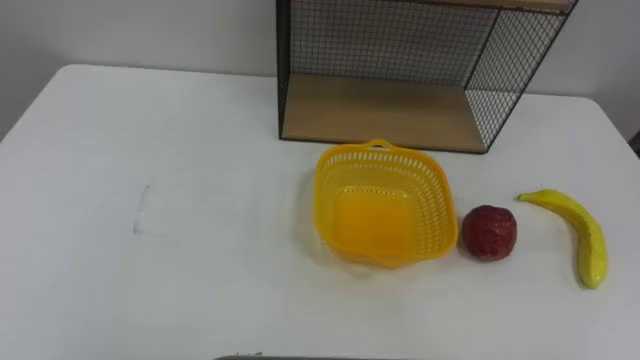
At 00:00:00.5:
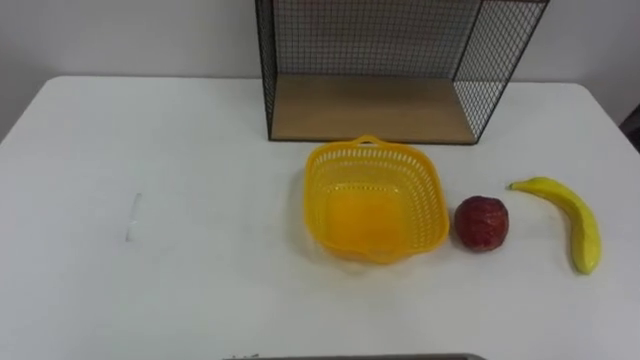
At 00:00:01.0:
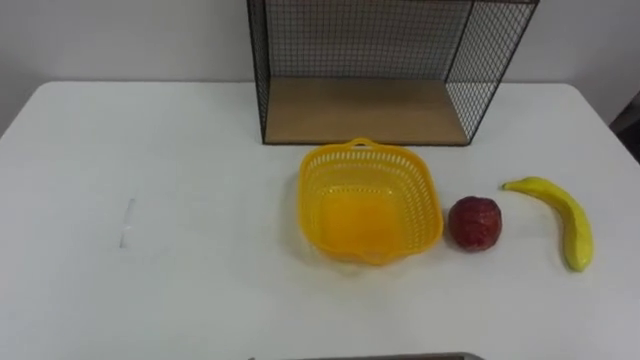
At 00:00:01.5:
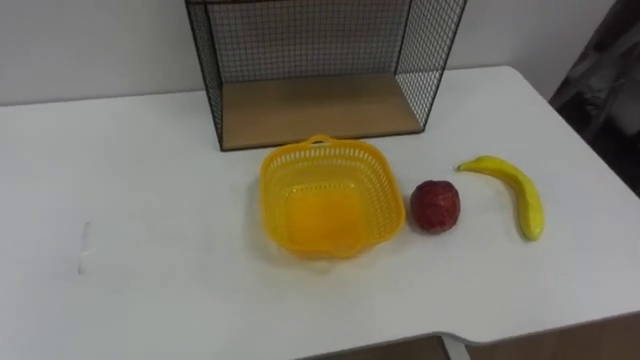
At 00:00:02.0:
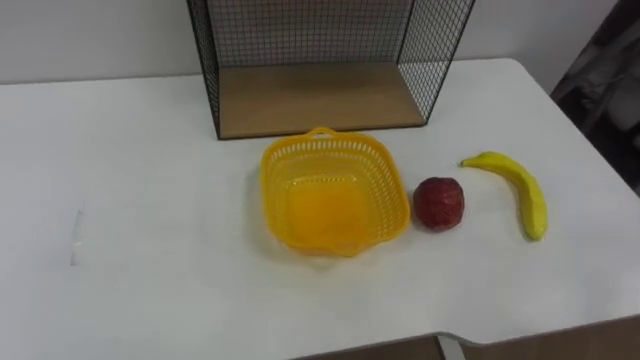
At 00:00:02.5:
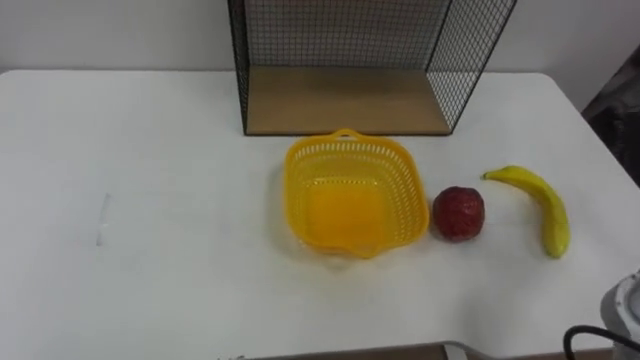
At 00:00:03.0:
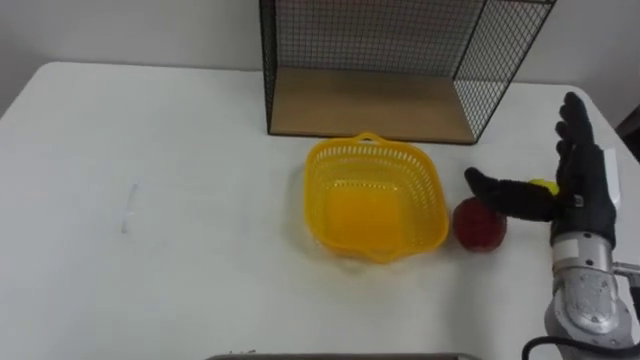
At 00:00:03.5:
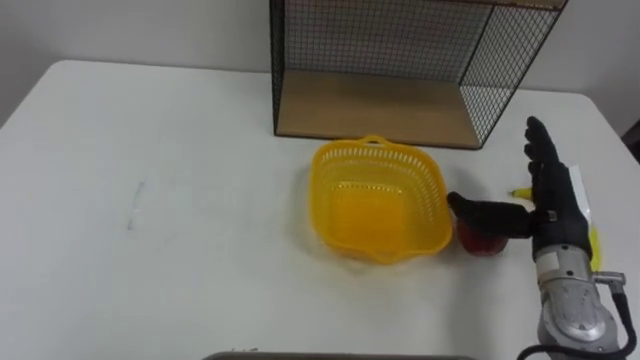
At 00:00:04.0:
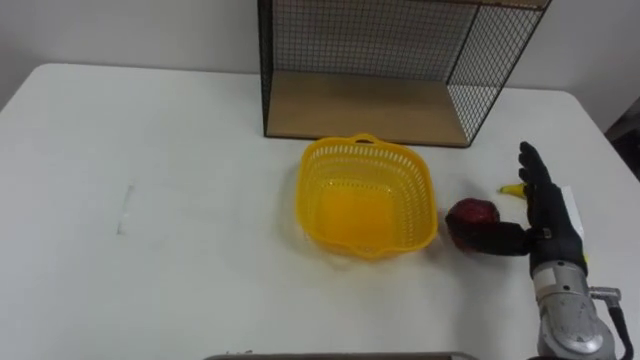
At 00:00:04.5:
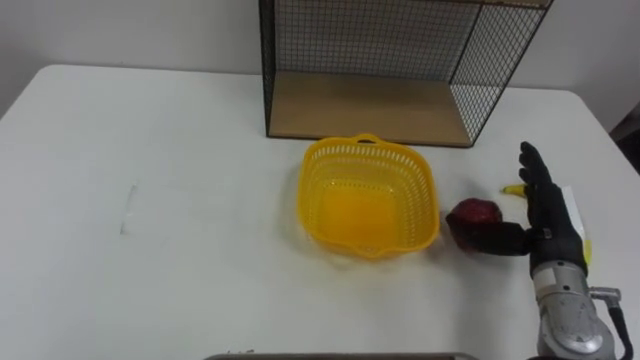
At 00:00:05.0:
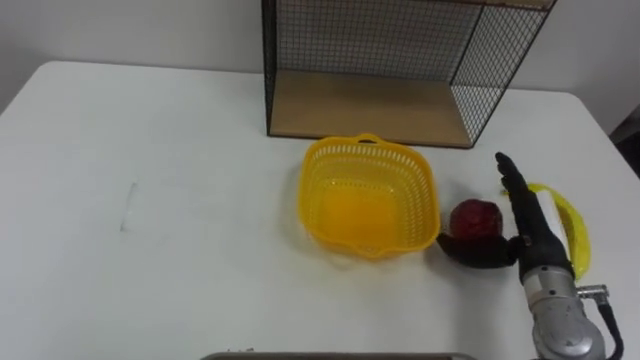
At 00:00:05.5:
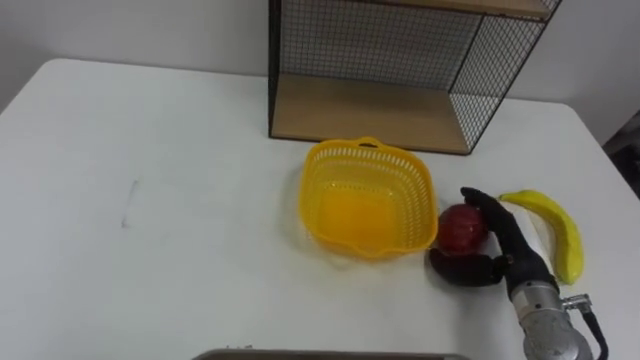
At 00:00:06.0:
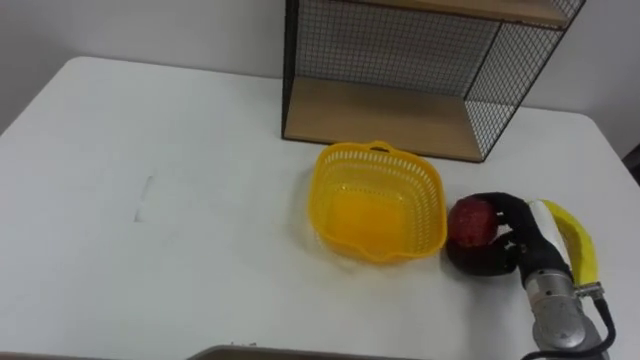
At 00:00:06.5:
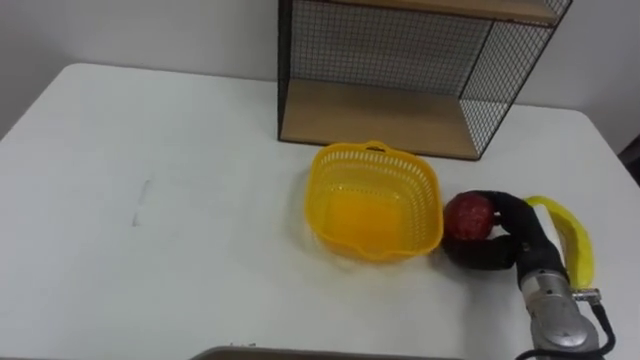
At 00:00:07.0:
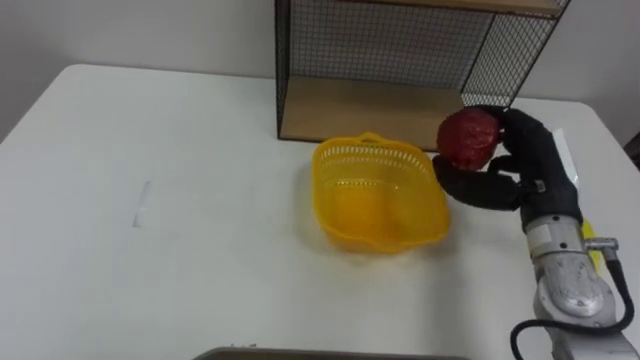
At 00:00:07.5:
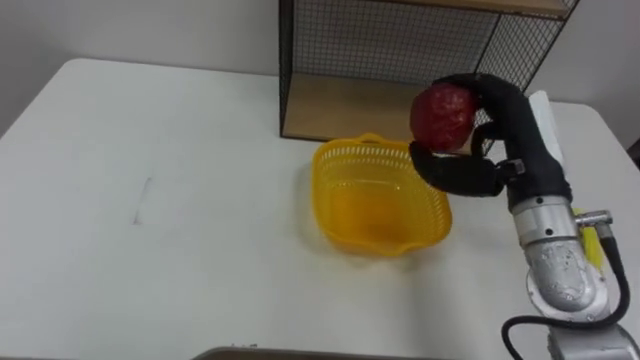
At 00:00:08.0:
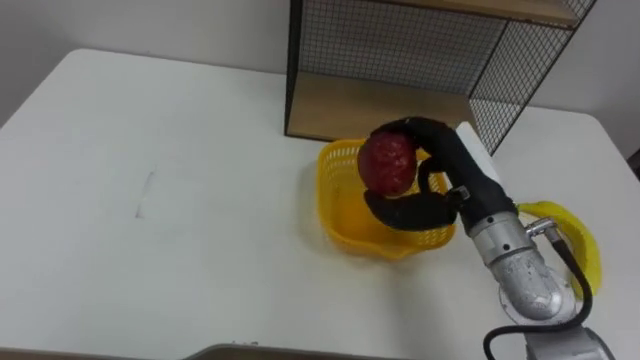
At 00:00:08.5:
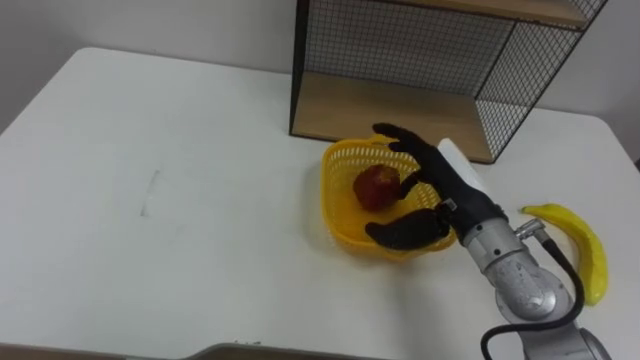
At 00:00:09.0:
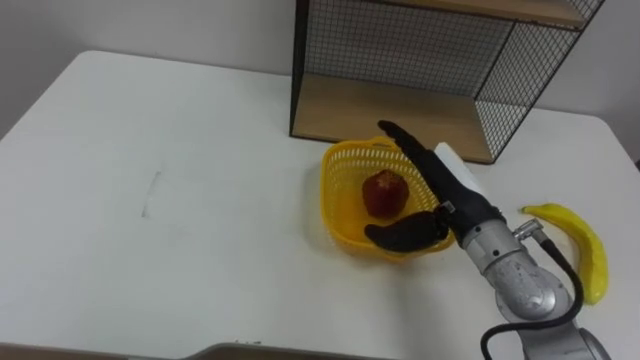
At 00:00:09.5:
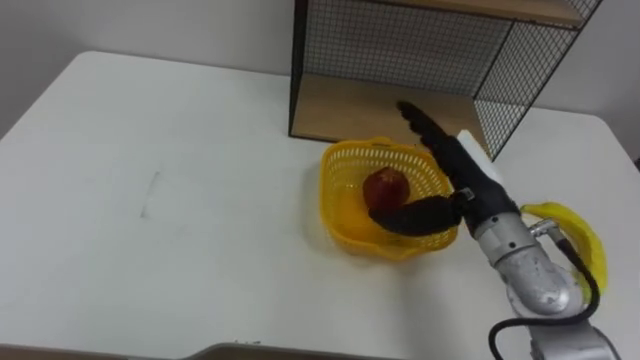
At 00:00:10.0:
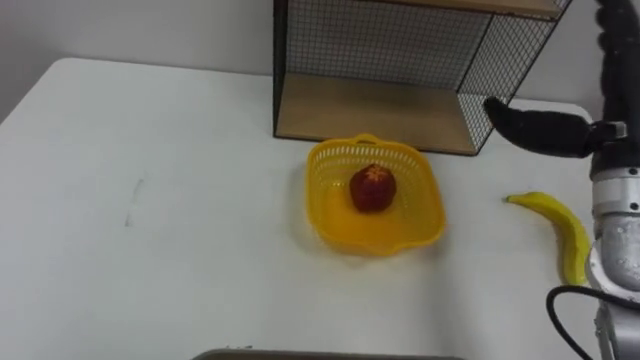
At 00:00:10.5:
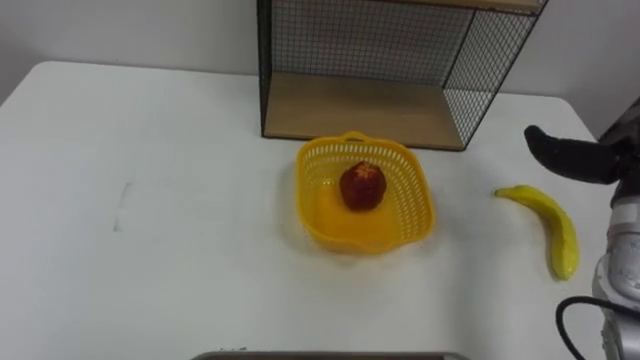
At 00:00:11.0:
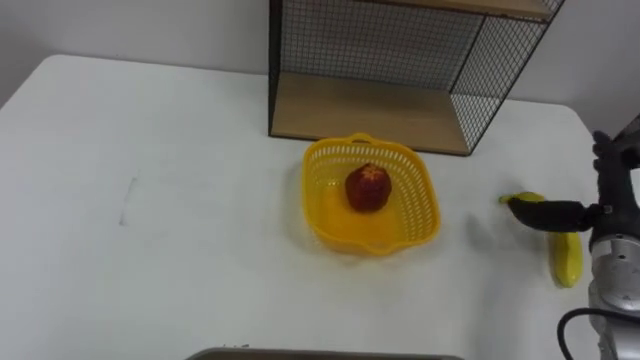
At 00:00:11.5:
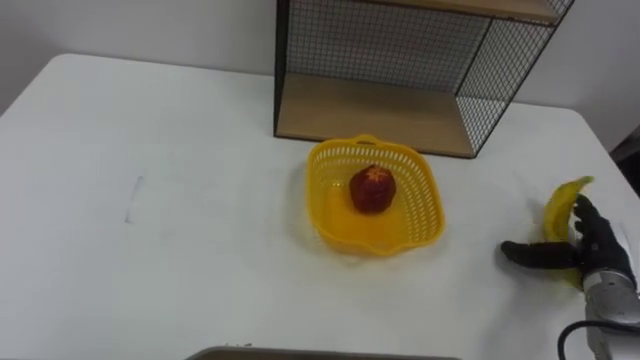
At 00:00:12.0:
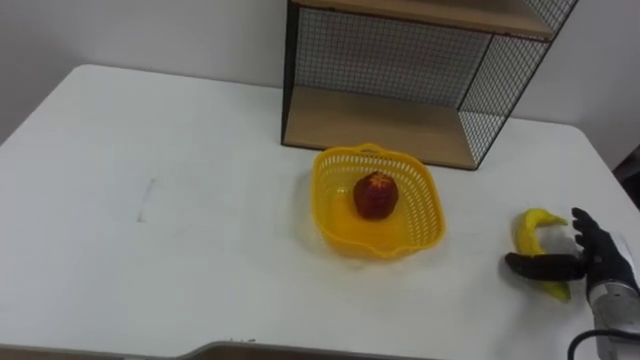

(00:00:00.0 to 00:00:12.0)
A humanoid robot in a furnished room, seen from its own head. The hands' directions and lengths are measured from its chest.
Task of the whole recording: Put the fruit on the table into the basket, then place the basket on the shelf.
00:00:04.0 - 00:00:06.0: The right hand is displaced downward by approximately 5 cm, and closes.
00:00:06.0 - 00:00:08.0: The right hand shifts about 15 cm upward and to the left.
00:00:08.0 - 00:00:10.0: The right hand goes roughly 15 cm to the right and upward, and opens.

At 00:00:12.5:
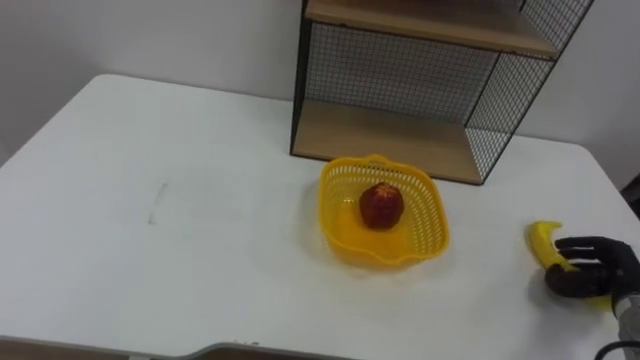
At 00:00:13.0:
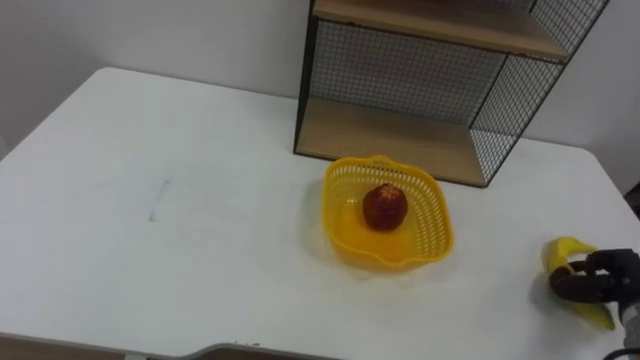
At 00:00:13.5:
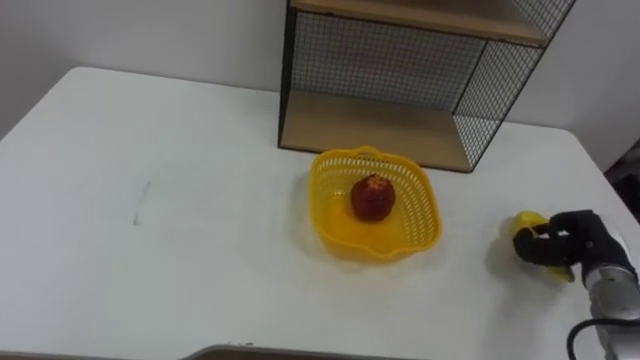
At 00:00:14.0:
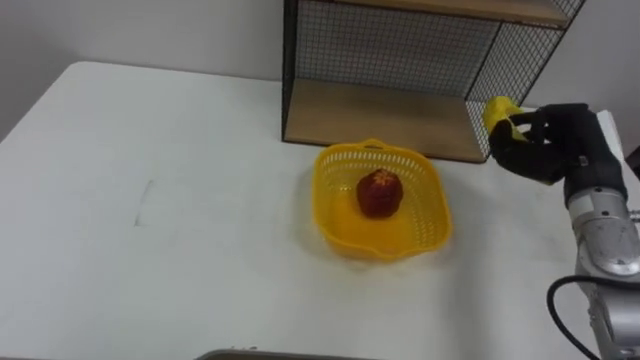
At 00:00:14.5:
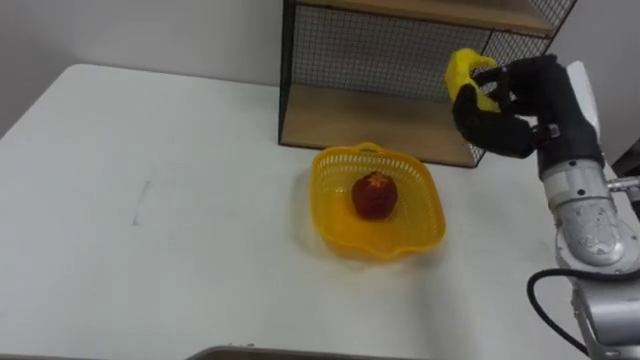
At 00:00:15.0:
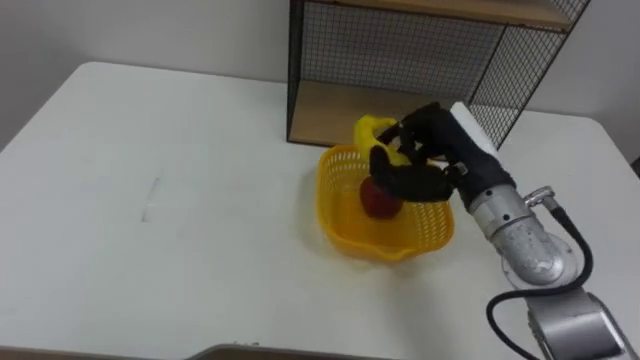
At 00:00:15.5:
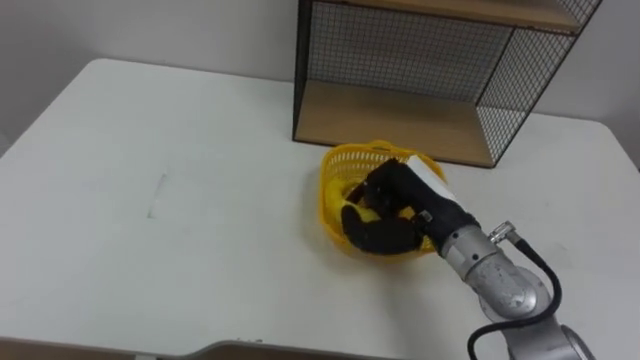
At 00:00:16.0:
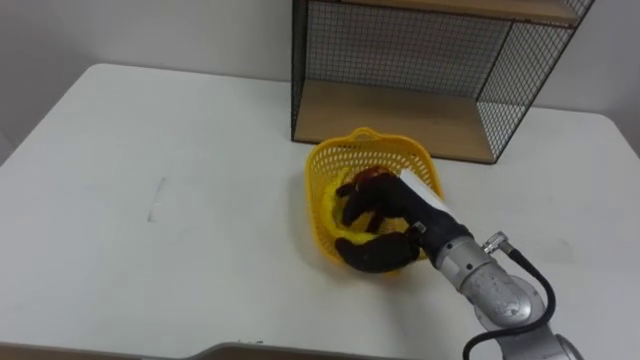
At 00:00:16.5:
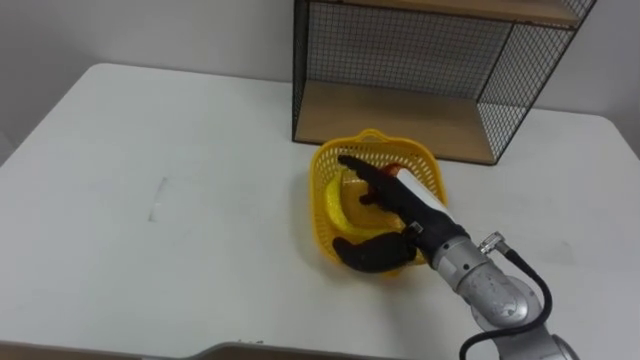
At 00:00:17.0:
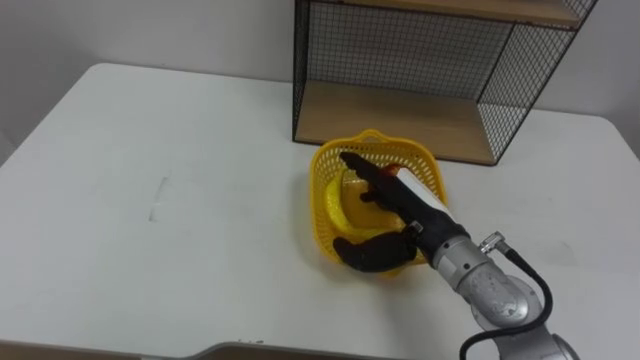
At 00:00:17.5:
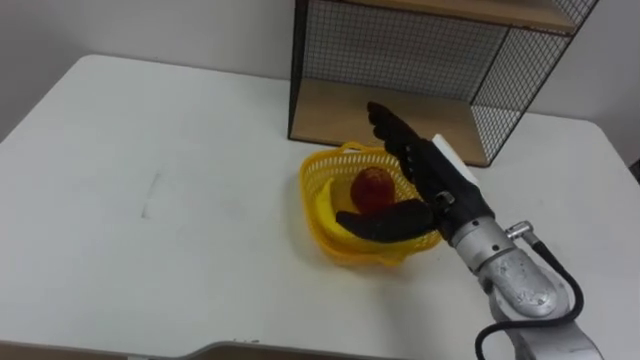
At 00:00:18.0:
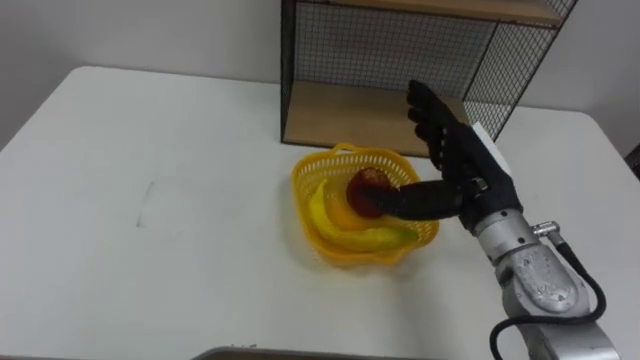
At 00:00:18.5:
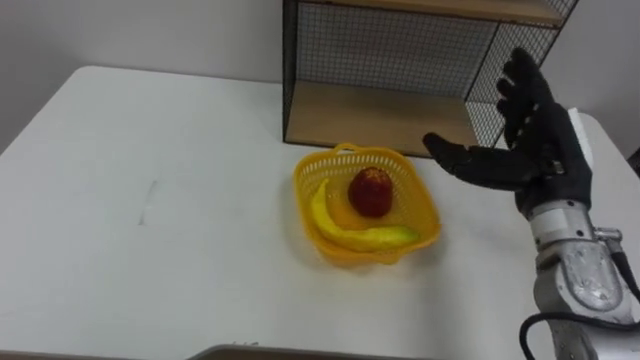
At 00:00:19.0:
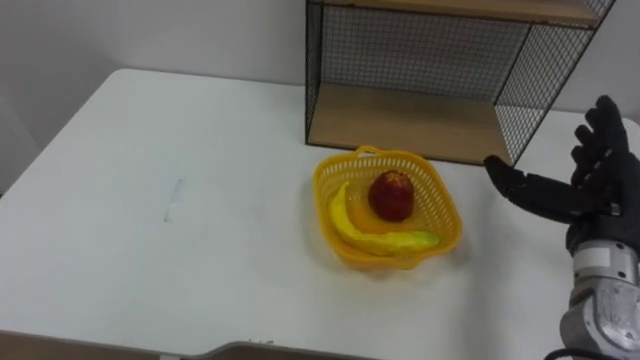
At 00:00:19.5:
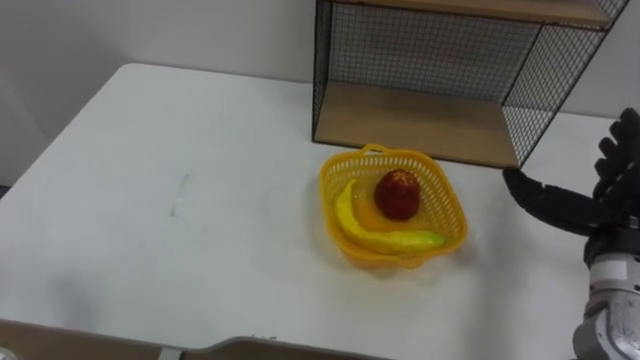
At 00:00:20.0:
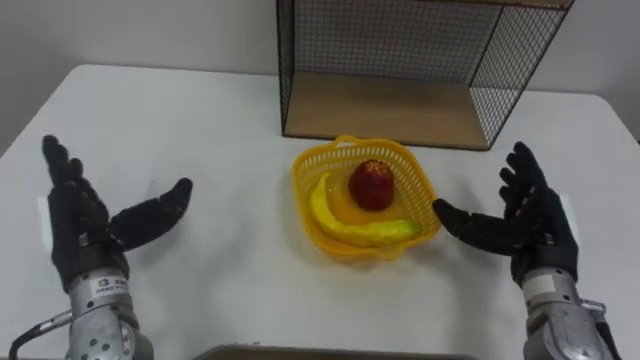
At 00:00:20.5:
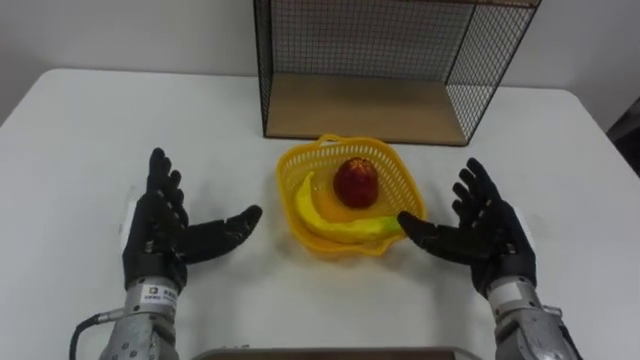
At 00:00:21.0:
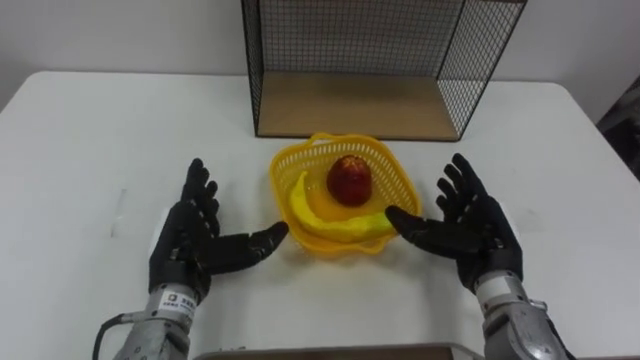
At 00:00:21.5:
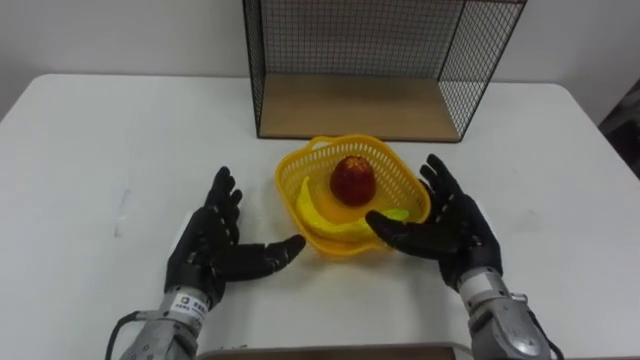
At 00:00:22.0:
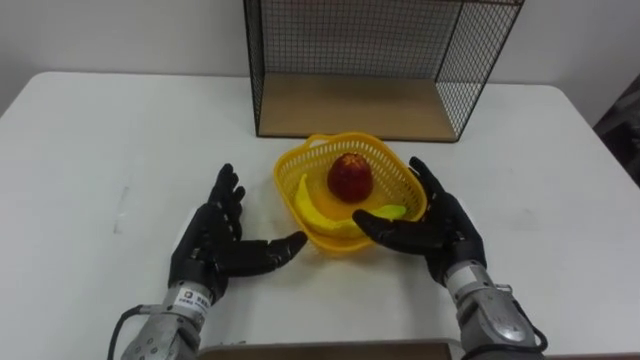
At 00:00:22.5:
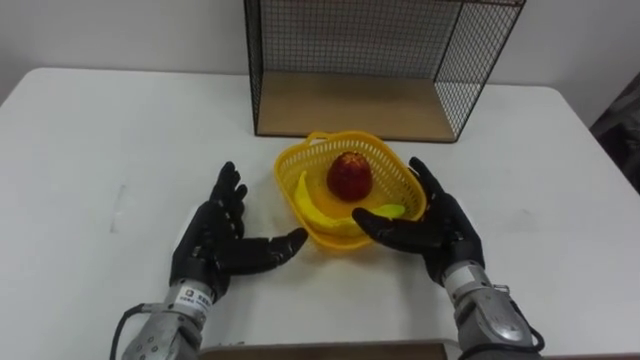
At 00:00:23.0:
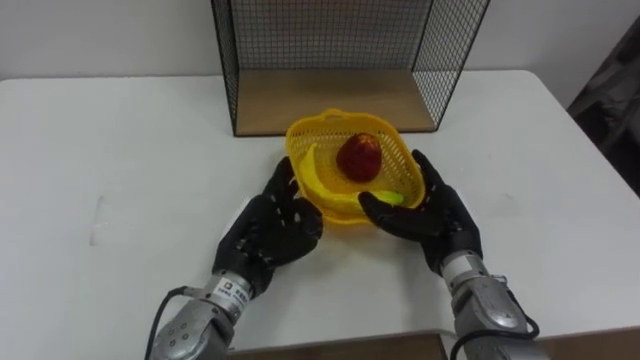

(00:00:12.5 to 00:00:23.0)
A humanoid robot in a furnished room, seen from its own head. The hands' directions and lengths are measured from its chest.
Task of the whole recording: Put the fruit on the table into the basket, then place the basket on the shelf.
00:00:14.5 - 00:00:16.5: The right hand moves to the left and downward, roughly 15 cm, and opens its fingers.
00:00:16.5 - 00:00:19.0: The right hand goes approximately 20 cm to the right.
00:00:19.0 - 00:00:21.0: The right hand heads to the left and downward, covering roughly 15 cm.
00:00:21.0 - 00:00:23.0: The right hand ends up roughly 5 cm from where it was, while the left hand goes approximately 10 cm to the right.
